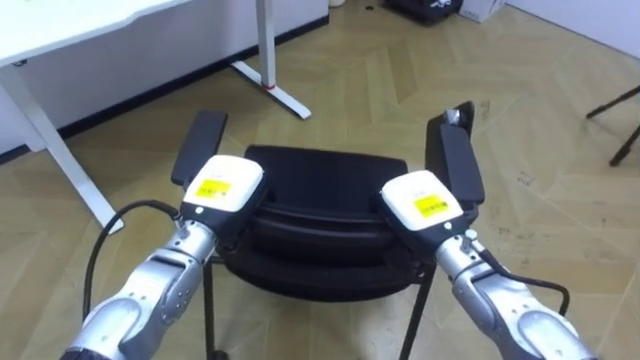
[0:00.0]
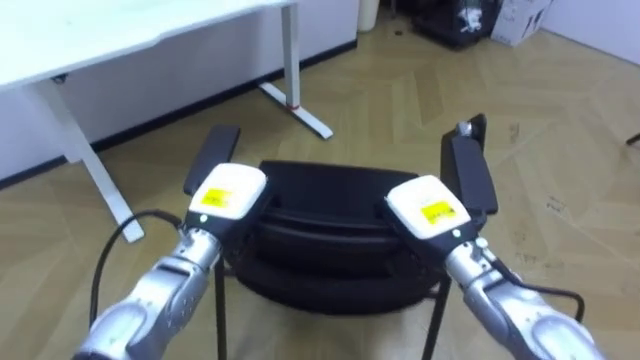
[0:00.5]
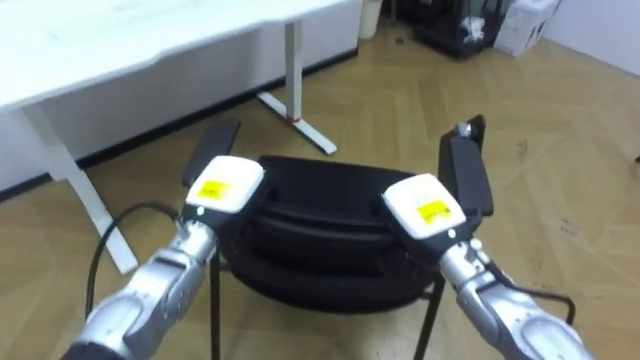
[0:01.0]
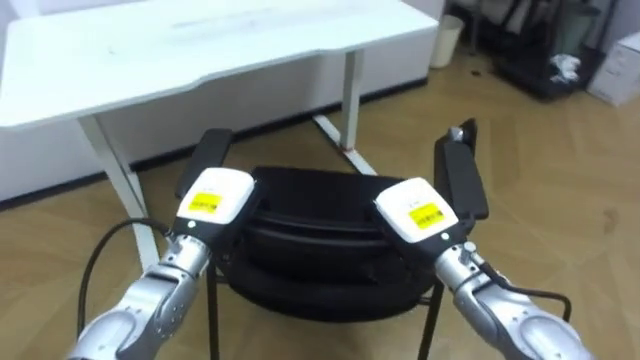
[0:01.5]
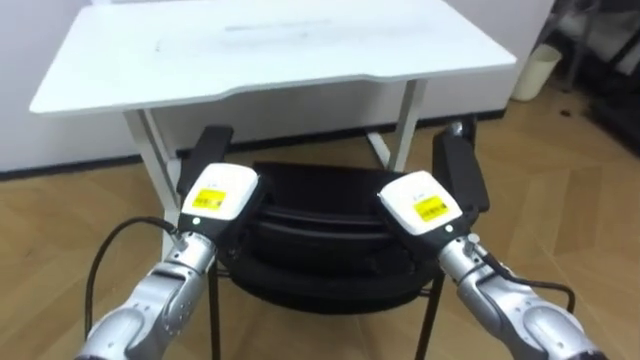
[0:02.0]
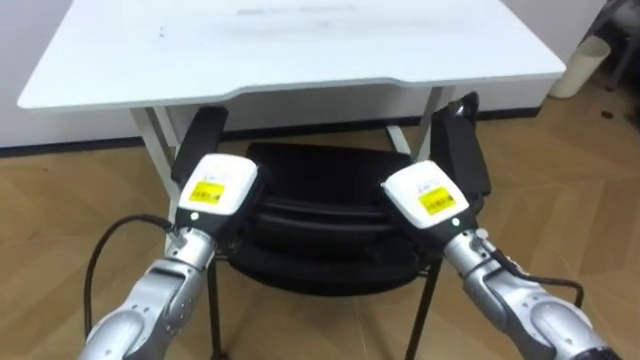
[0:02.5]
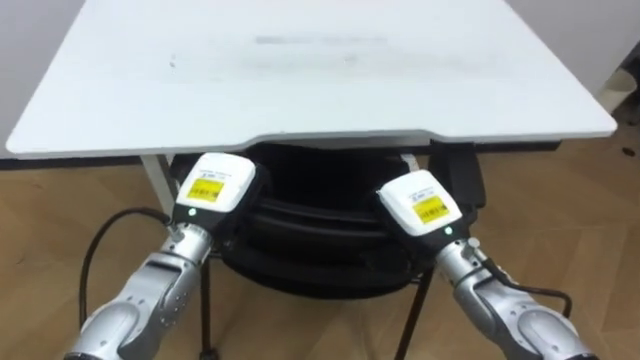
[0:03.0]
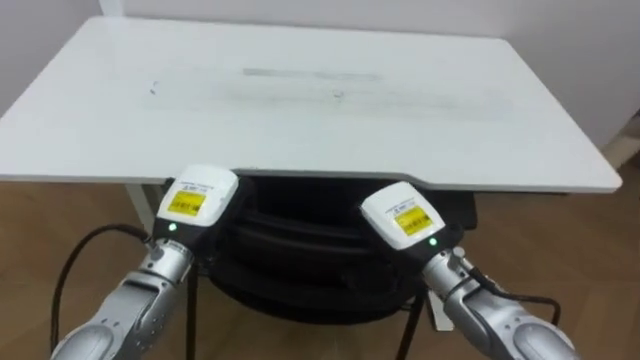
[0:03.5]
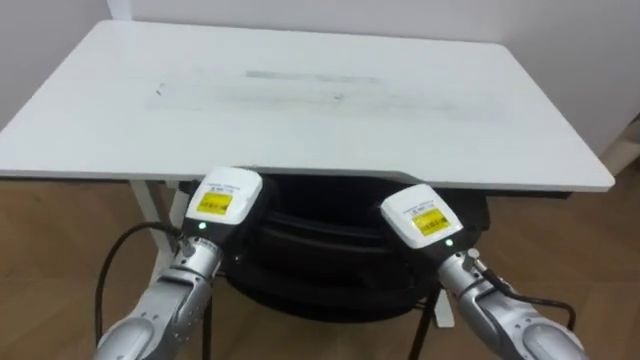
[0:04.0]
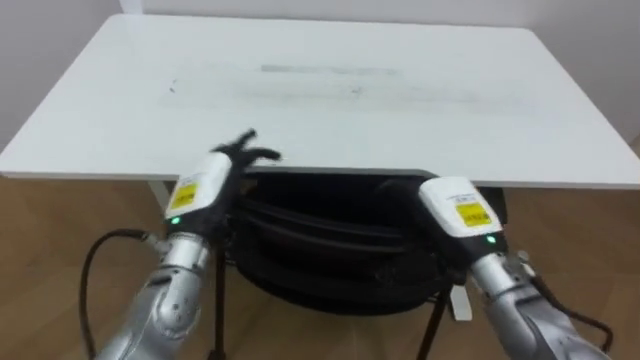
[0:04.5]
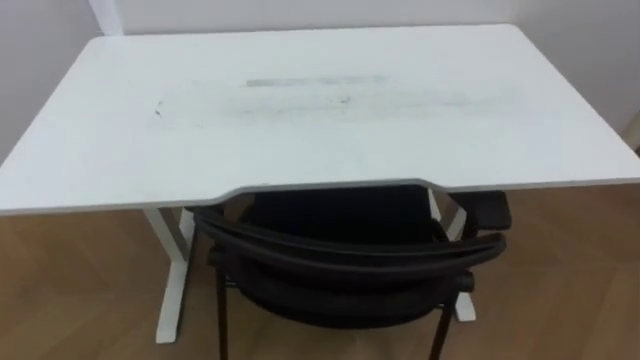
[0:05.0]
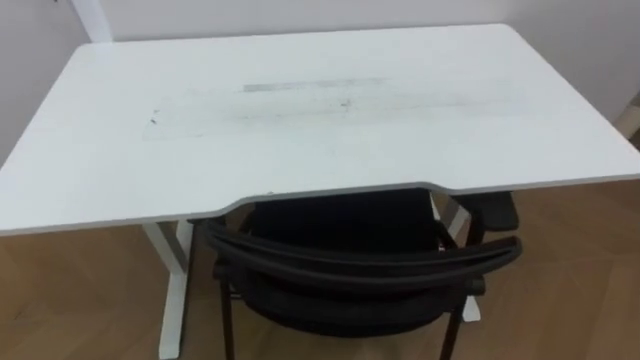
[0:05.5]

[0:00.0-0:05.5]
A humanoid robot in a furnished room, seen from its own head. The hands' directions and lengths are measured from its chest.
Task of the whole recording: Push the chair under the table.
0:00.0 to 0:02.0: The robot turns to its left by approximately 25 degrees.

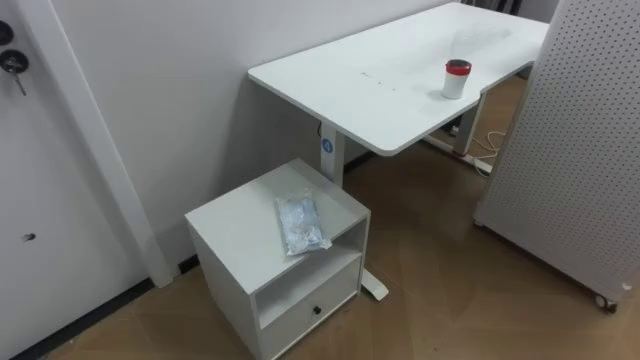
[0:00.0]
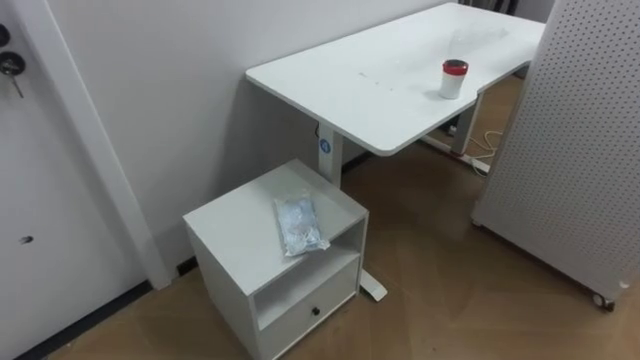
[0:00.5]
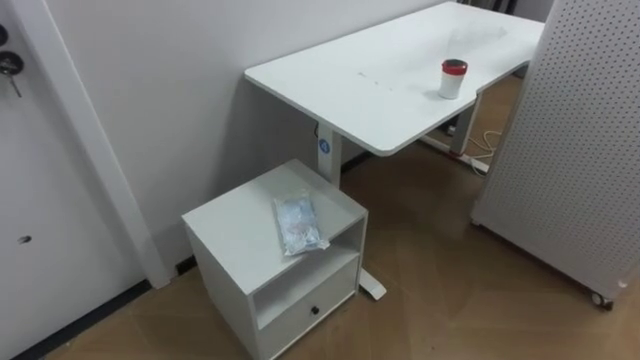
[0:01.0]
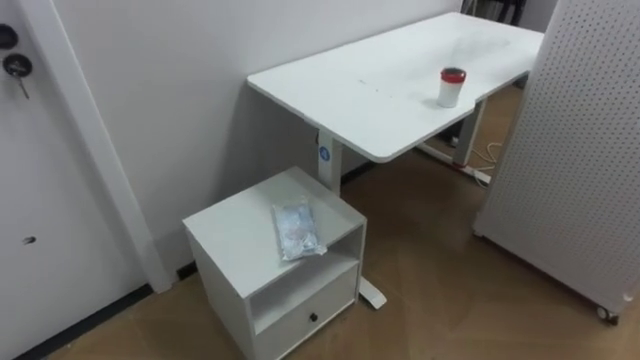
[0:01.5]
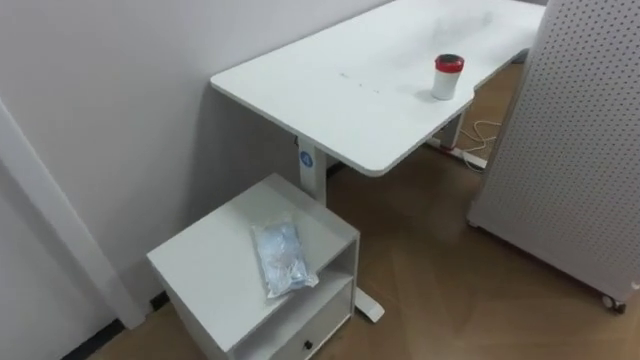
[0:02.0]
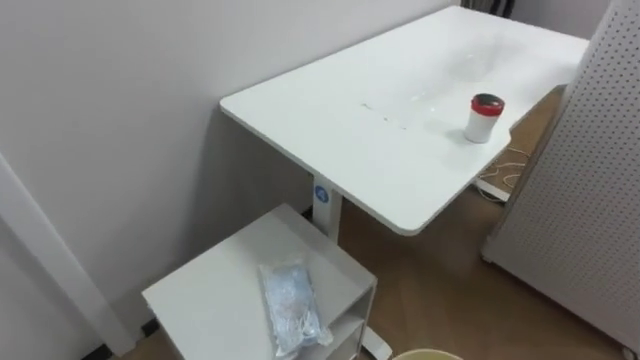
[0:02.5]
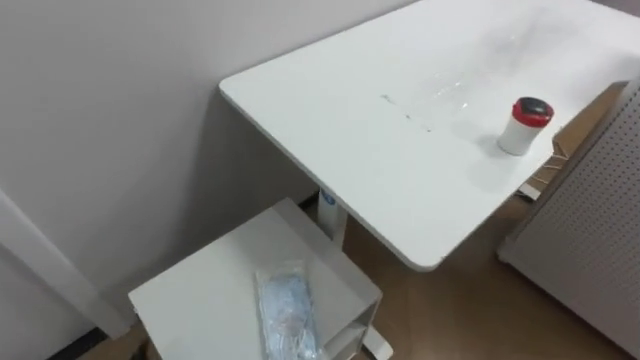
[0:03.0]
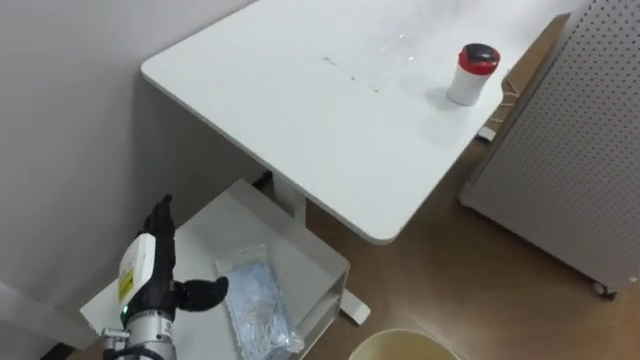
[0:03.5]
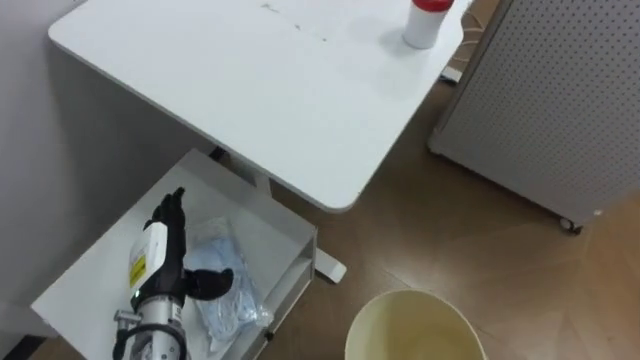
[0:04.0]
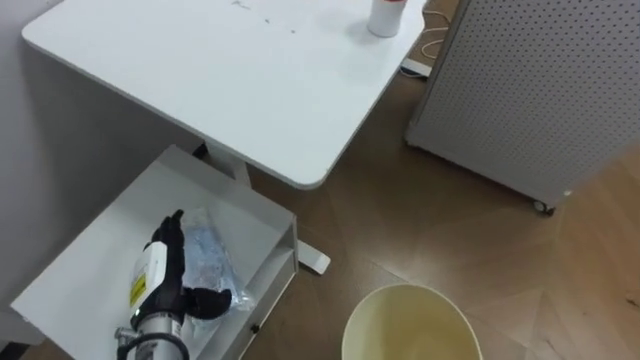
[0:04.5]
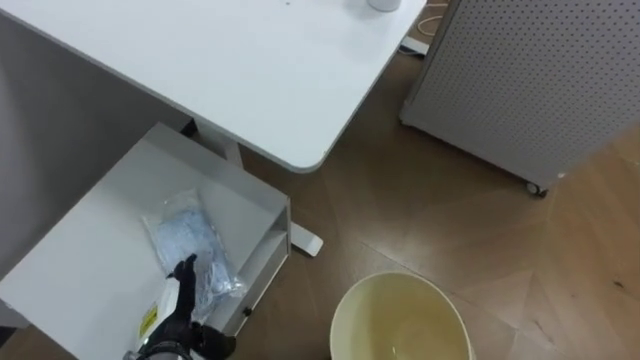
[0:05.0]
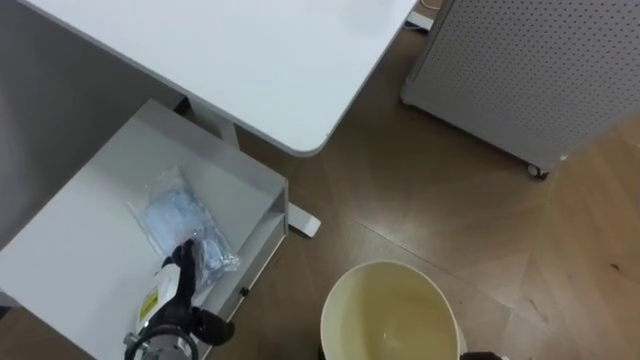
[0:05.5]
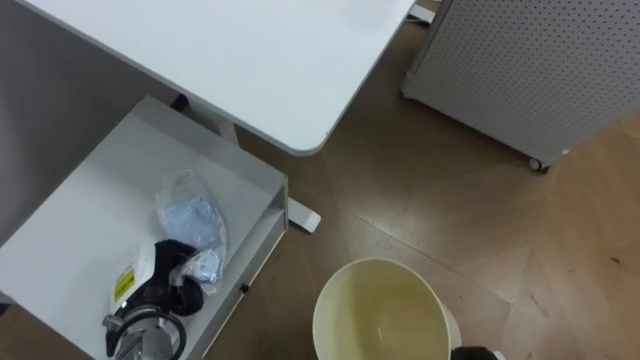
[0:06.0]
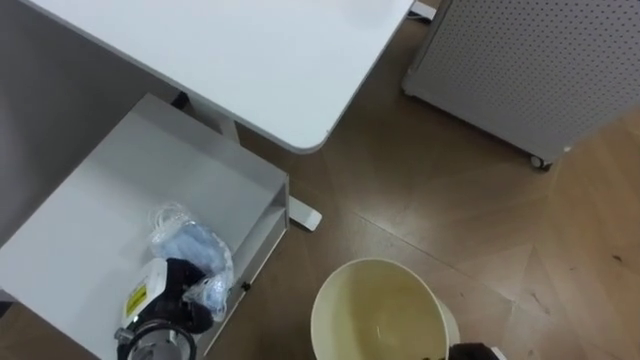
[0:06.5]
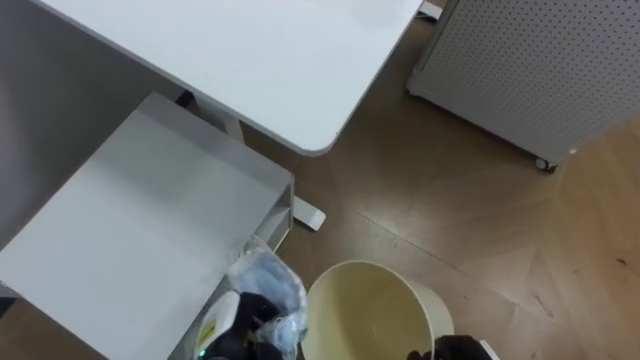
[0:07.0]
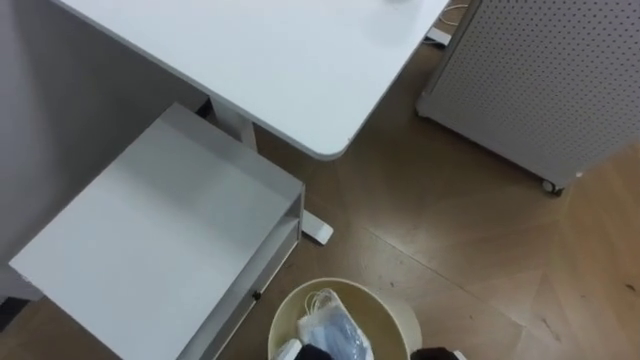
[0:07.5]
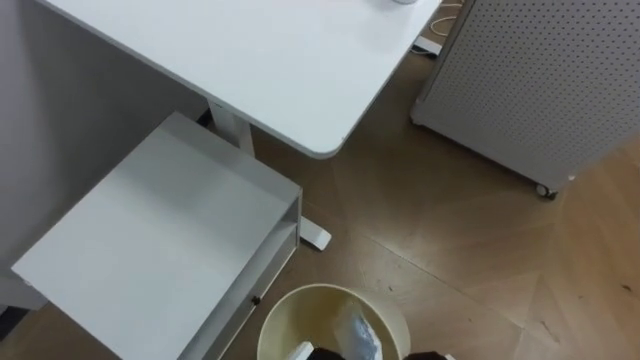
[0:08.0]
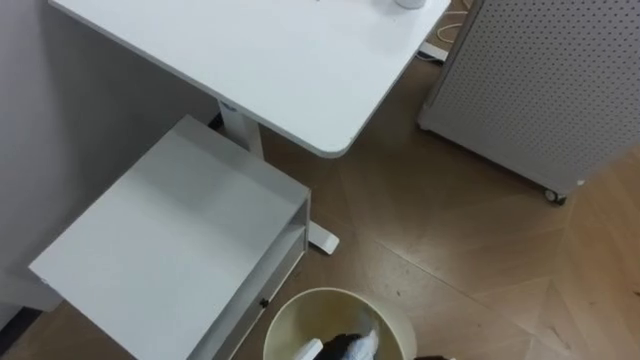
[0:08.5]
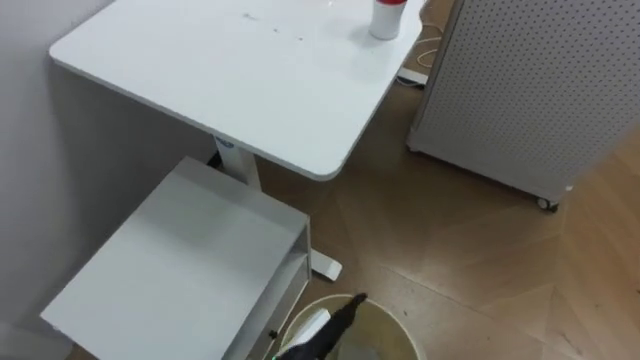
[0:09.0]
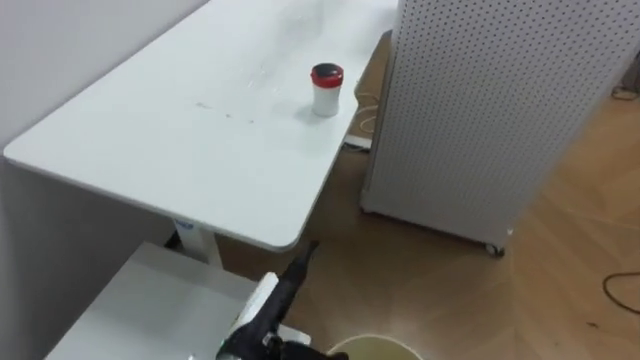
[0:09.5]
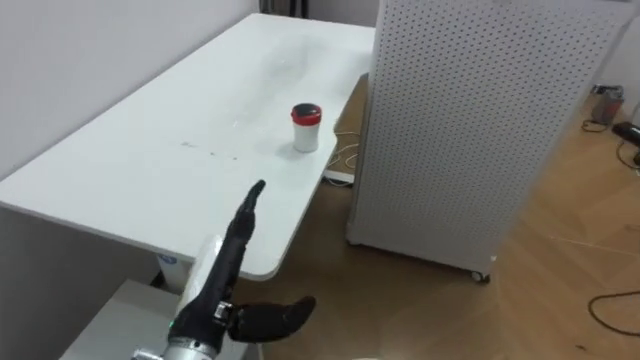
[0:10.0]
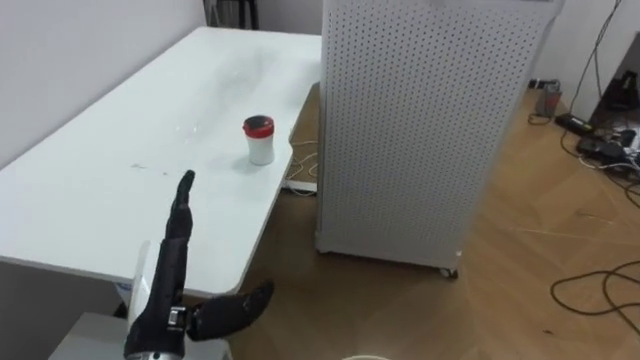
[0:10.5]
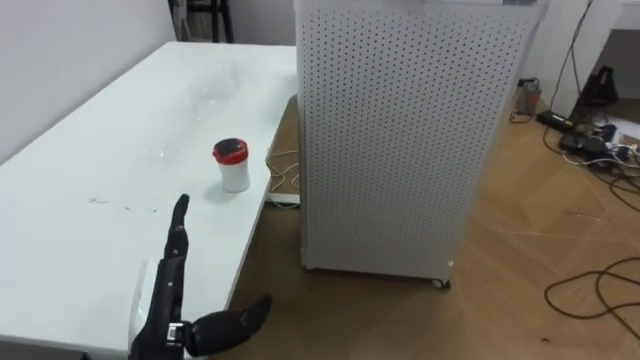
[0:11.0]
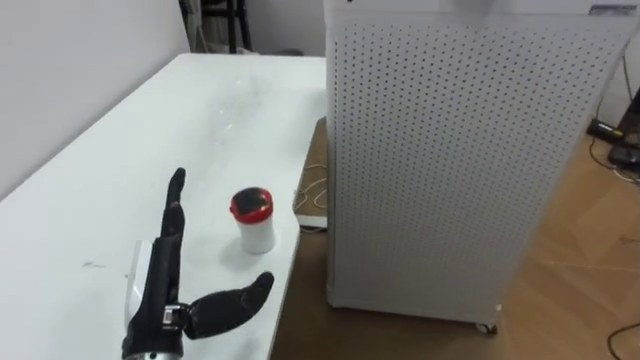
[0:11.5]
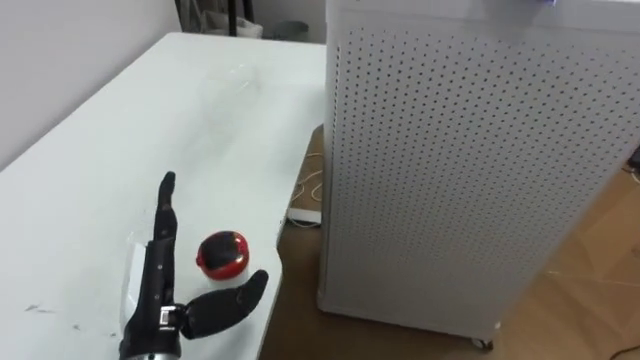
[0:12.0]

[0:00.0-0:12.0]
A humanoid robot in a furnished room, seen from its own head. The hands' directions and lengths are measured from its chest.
Task of the whole recording: Pick up the light blue package, the candy box, and the dark blue package separately, and put them into the trash can held in your right hand.
0:04.0 to 0:06.0: The left hand closes.
0:10.0 to 0:12.0: The left hand heads to the left, covering some 5 cm.

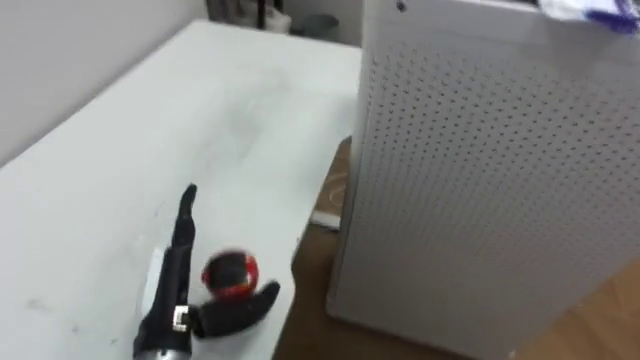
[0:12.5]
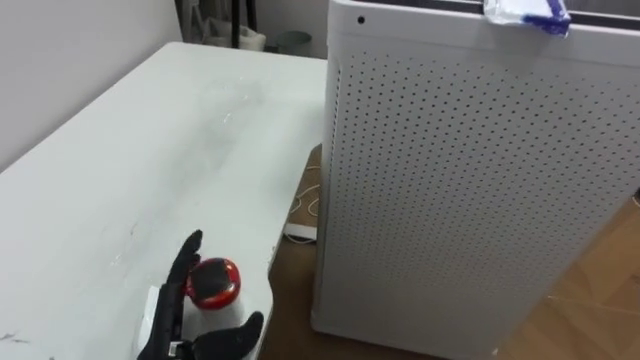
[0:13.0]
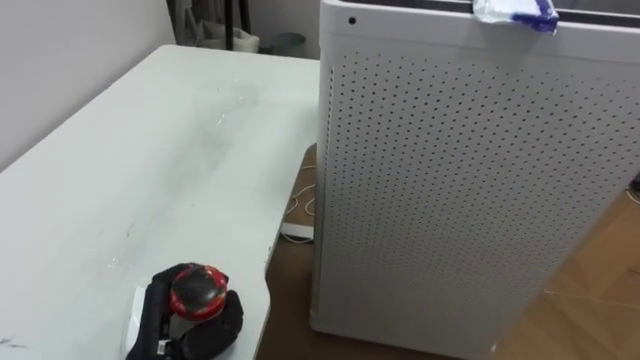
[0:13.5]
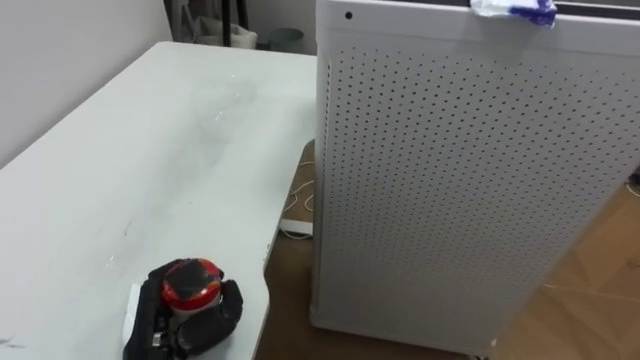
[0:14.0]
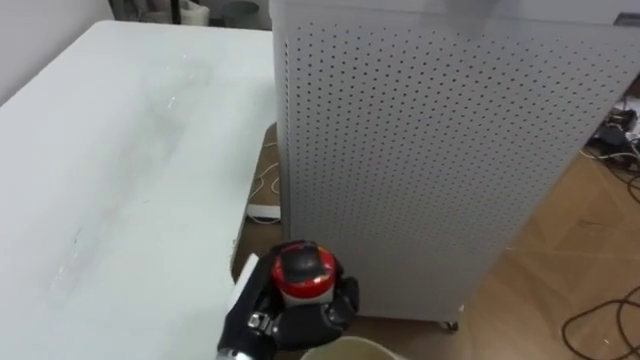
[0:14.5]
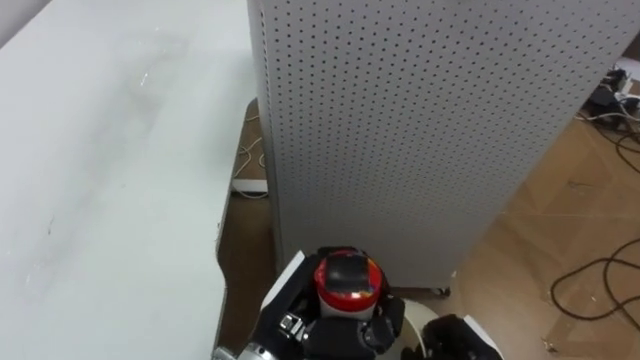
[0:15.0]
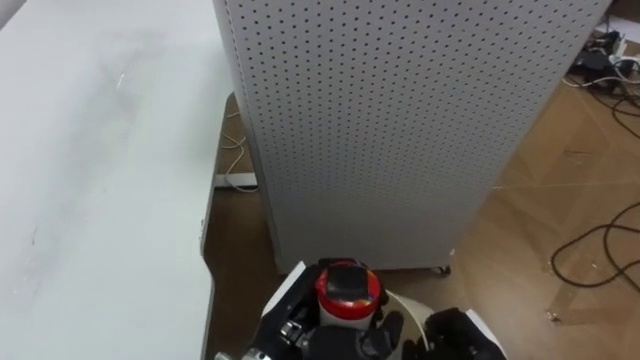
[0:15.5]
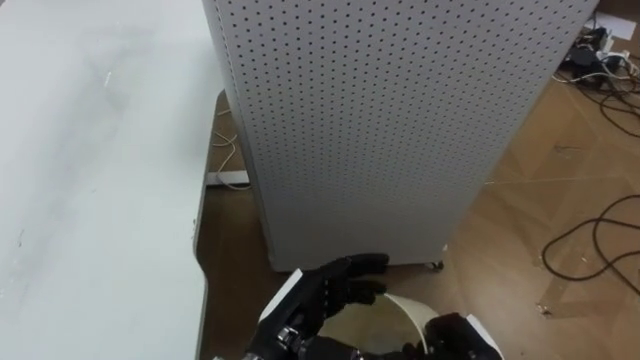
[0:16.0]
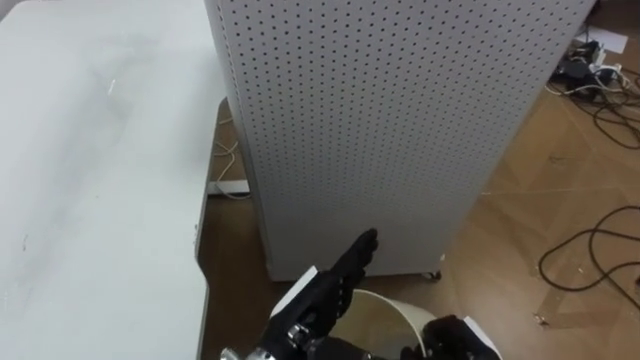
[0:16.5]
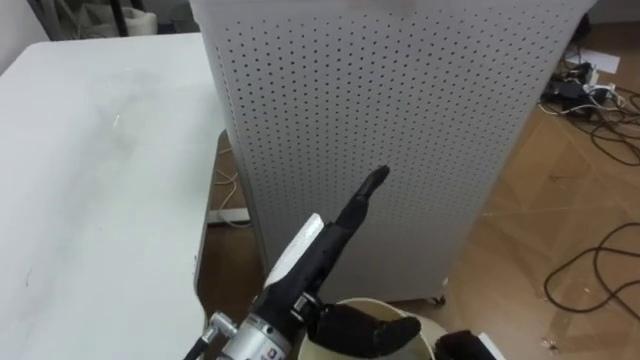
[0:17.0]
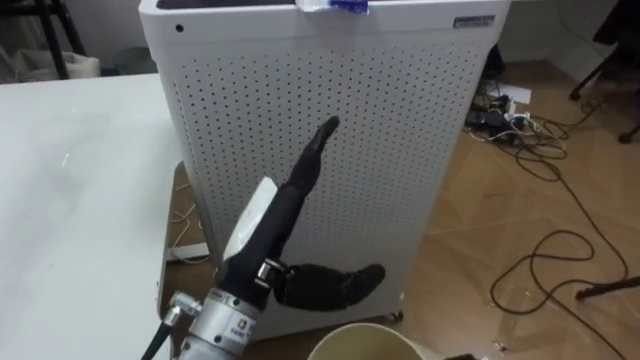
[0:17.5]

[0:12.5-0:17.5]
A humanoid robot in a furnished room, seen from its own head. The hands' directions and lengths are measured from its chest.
Task of the whole recording: Pick up the light blue package, the candy box, and the dark blue package separately, and put them into the trash can held in your right hand.
0:12.5 to 0:15.0: The left hand is displaced to the right by approximately 15 cm, and closes up.
0:15.0 to 0:17.5: The left hand shifts approximately 10 cm upward, and opens up.
